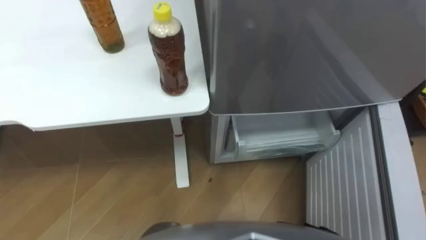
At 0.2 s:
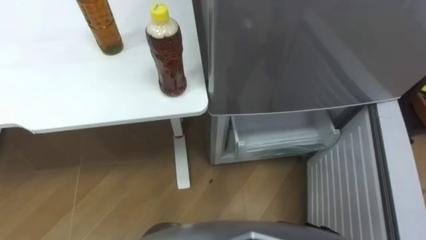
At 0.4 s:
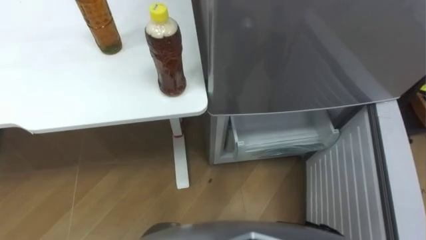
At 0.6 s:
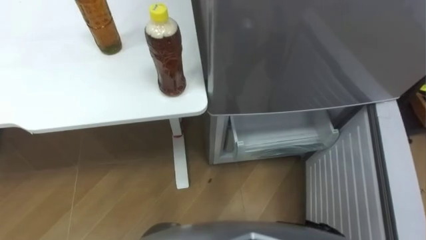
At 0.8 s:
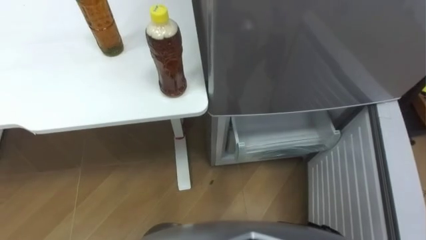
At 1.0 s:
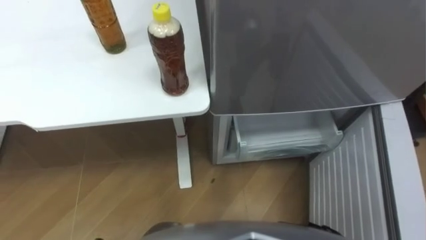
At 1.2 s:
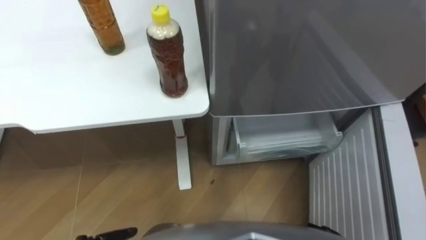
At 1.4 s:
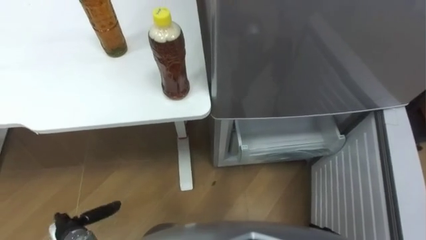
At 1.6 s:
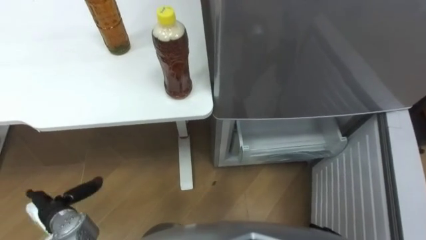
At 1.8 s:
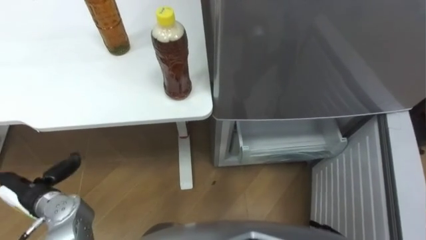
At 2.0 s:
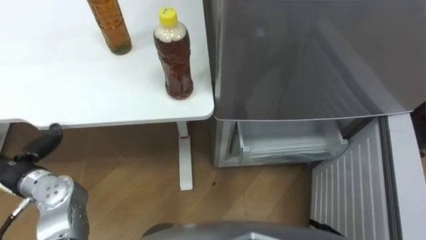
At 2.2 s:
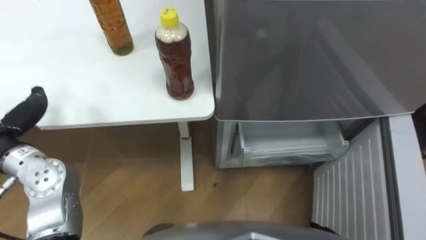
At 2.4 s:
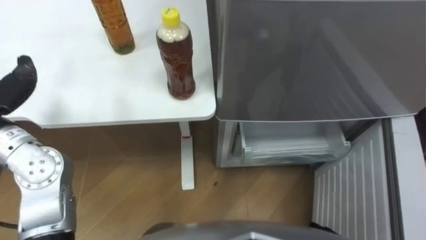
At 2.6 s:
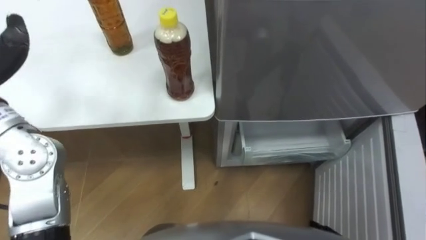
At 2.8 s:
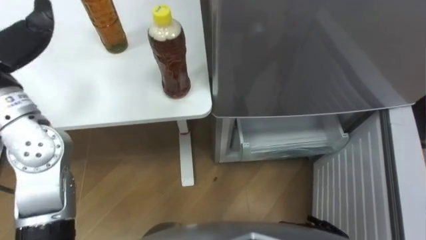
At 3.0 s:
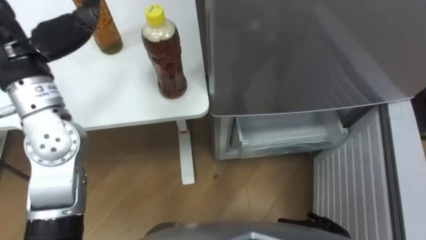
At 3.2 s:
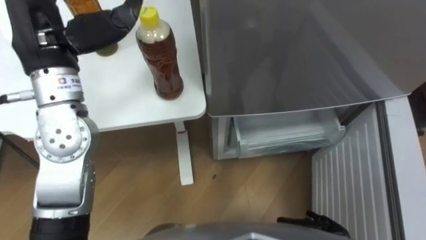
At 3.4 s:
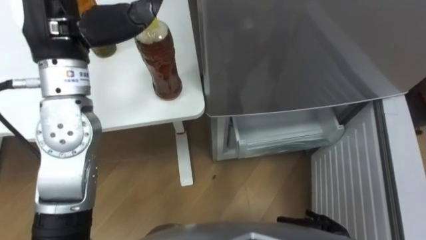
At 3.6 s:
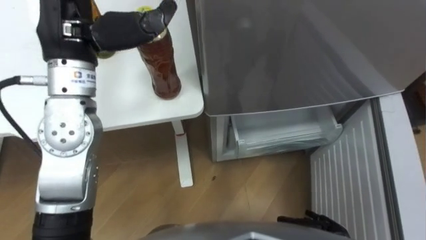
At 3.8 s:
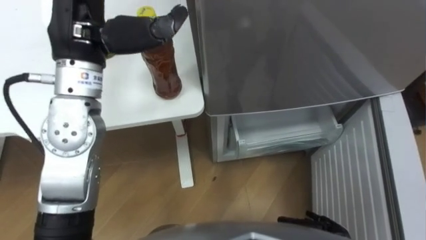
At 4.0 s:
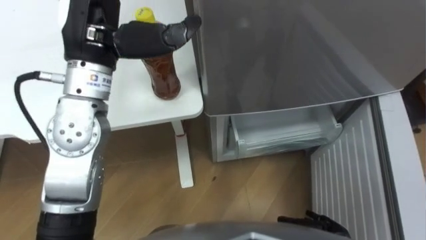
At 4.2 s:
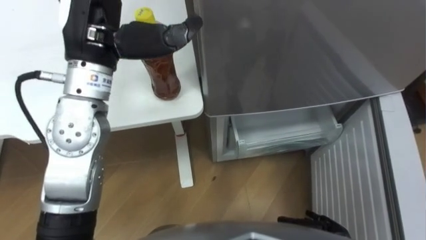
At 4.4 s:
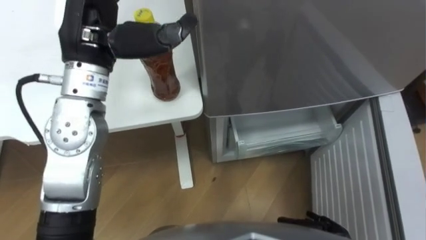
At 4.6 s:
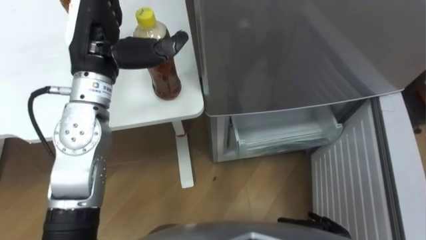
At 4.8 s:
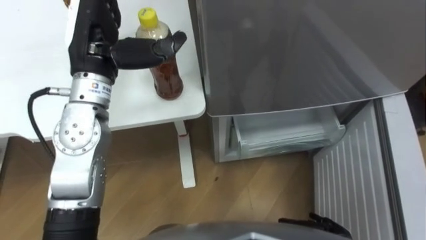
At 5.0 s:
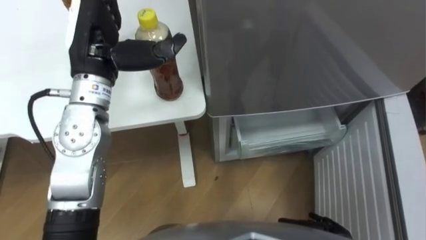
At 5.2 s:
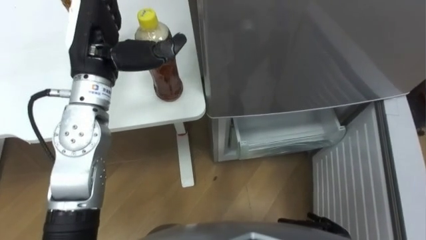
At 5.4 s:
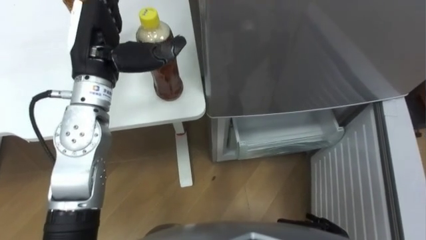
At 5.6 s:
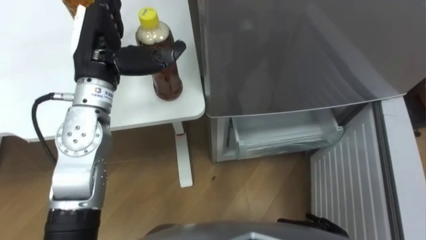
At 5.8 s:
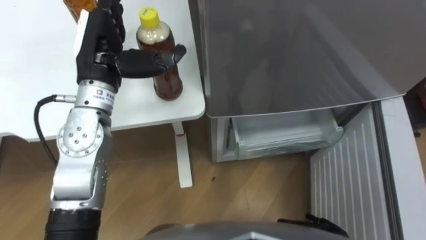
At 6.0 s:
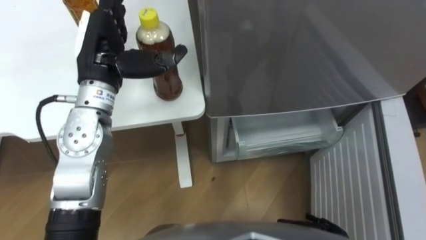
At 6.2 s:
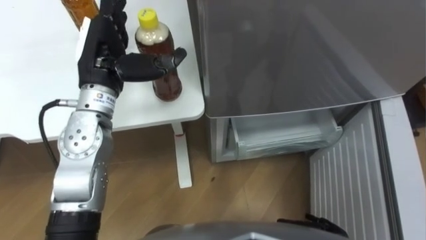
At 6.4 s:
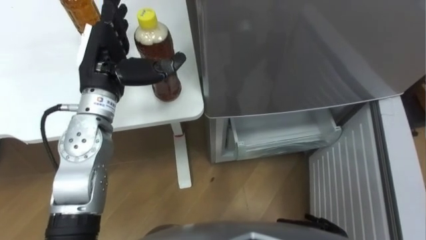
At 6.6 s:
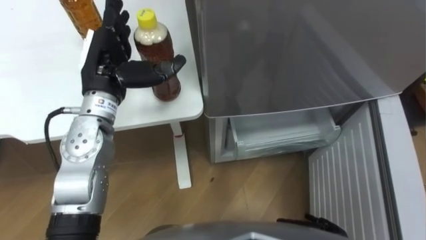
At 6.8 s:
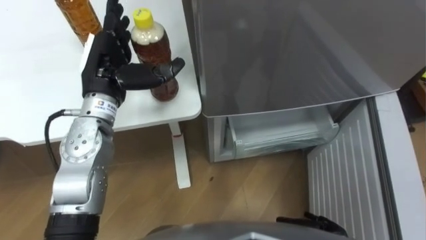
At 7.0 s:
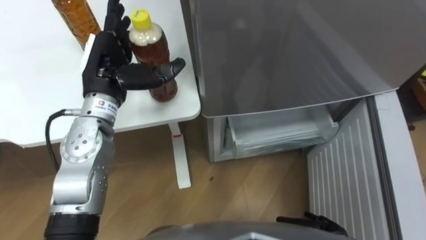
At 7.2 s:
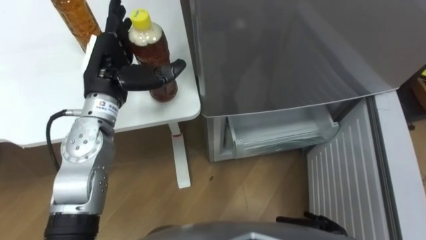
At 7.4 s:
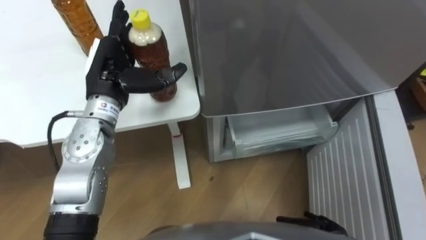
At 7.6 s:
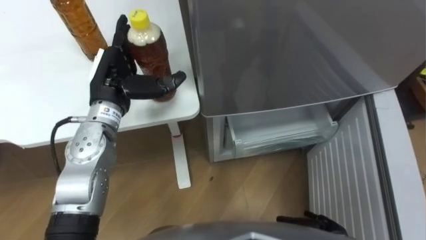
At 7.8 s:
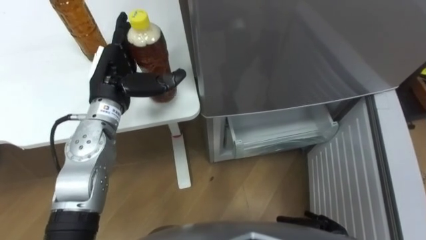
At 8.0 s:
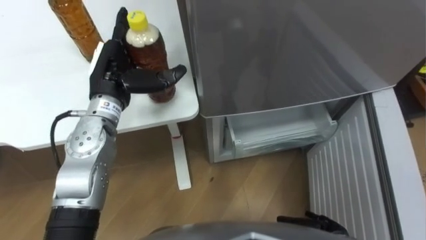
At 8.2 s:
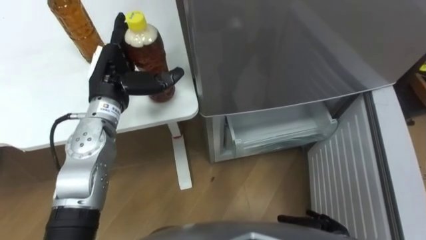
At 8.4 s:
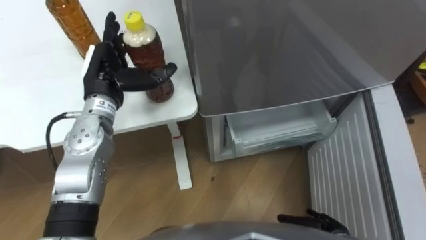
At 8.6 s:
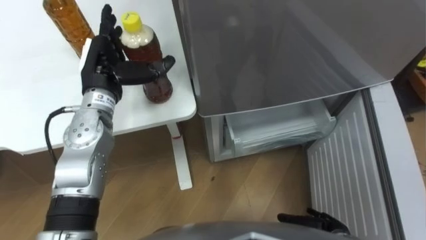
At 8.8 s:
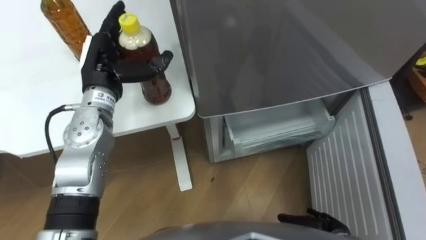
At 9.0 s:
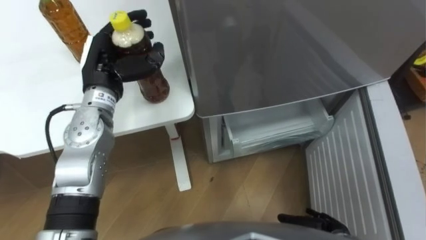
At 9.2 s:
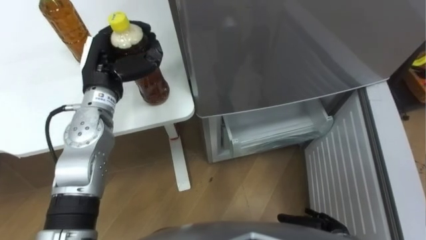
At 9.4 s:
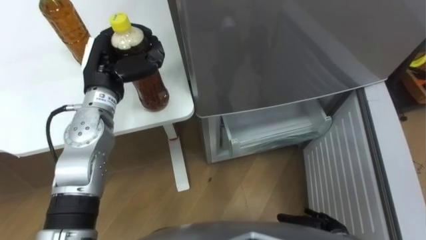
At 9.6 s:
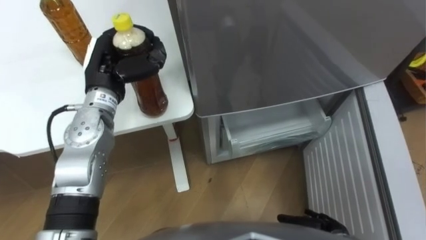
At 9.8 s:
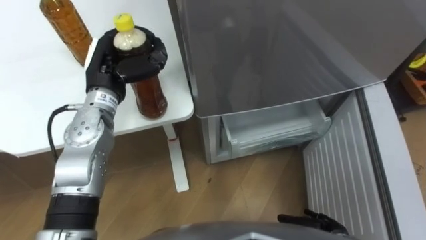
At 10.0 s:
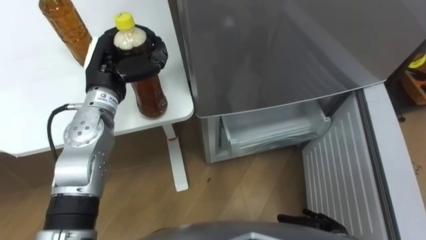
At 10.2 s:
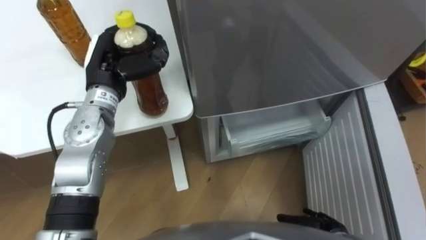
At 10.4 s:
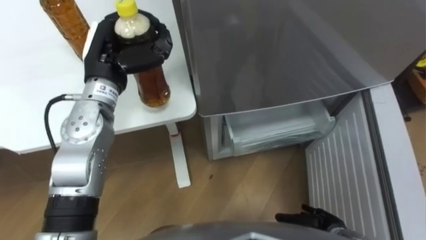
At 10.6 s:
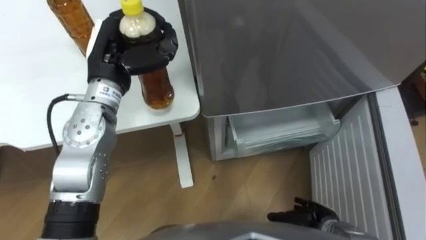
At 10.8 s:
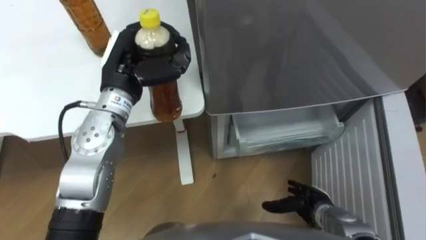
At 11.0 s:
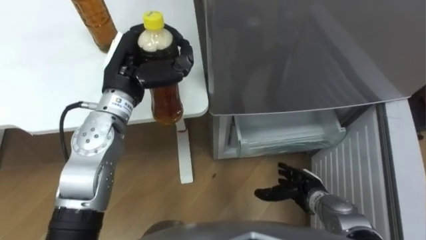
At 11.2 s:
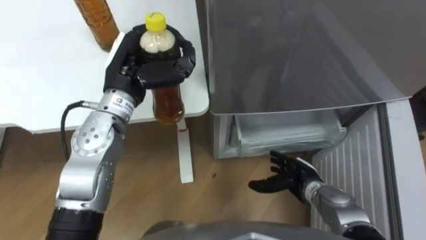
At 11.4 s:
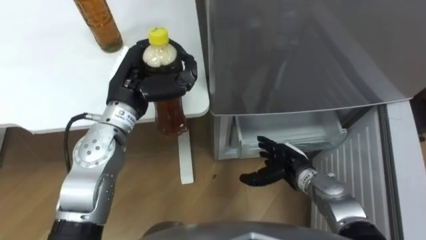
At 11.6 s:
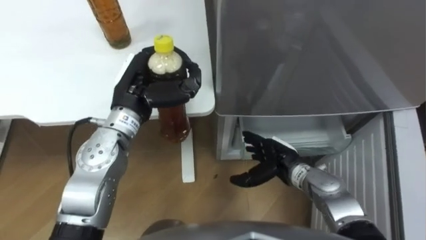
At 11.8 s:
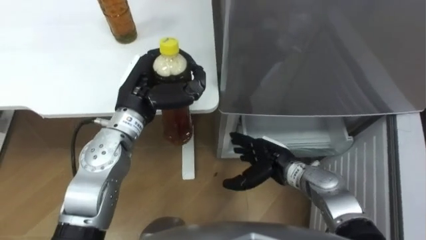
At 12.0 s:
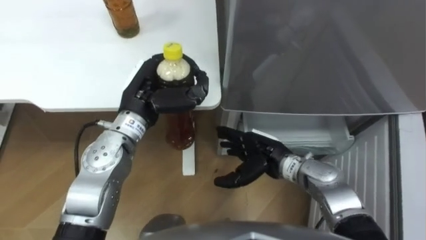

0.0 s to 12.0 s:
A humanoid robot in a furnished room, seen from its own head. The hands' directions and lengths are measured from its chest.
Task of the whole recording: Place the drink on the table on the bottom shelf of the refrigerator, then close the drawer and the refrigerator door.
3.0 to 4.4 s: The left hand is displaced to the right by some 10 cm.
4.4 to 6.0 s: The left hand shifts approximately 10 cm downward.
6.0 to 7.6 s: The left hand heads downward, covering roughly 5 cm.
7.6 to 9.0 s: The left hand closes its fingers.
10.4 to 12.0 s: The right hand heads forward, to the left and upward, covering roughly 25 cm. Meanwhile the left hand moves to the right, some 5 cm.

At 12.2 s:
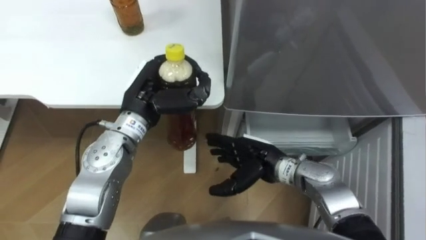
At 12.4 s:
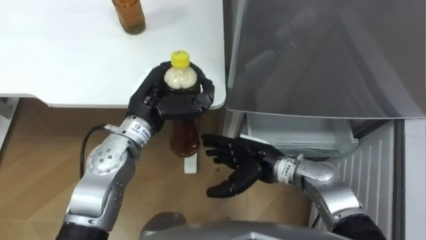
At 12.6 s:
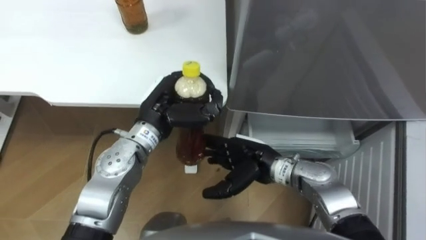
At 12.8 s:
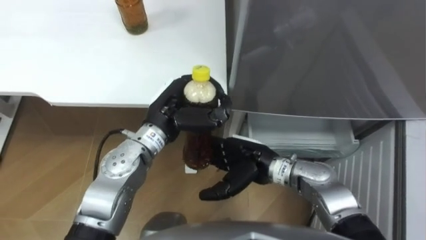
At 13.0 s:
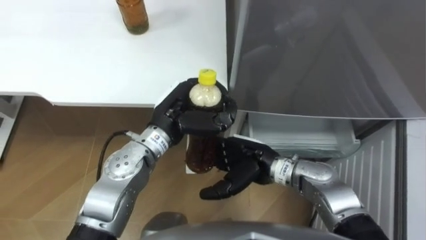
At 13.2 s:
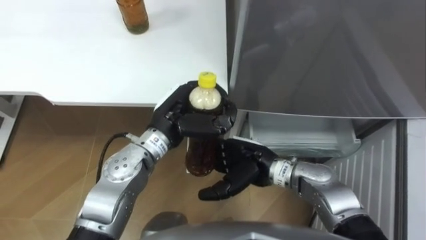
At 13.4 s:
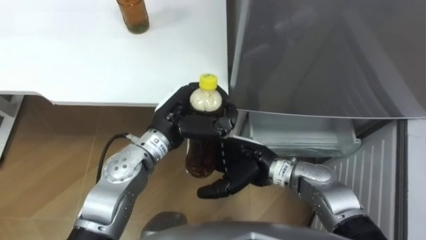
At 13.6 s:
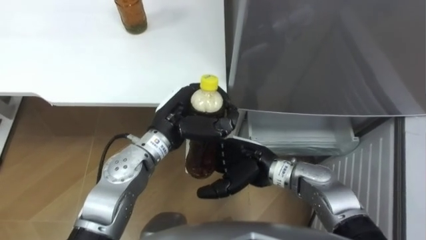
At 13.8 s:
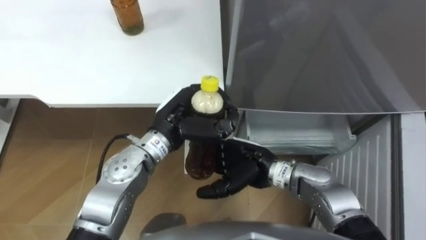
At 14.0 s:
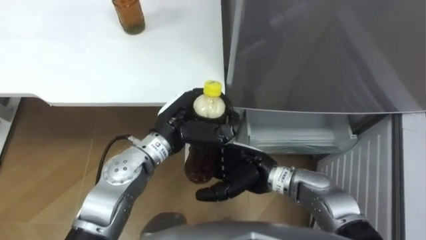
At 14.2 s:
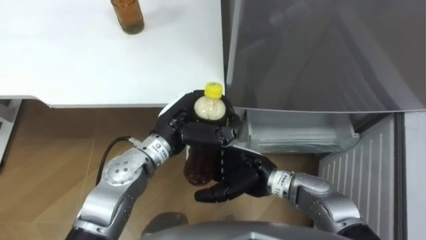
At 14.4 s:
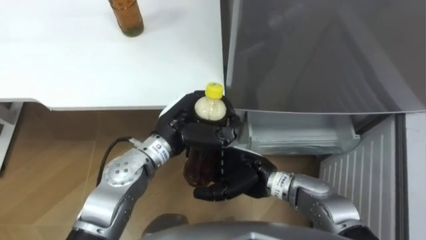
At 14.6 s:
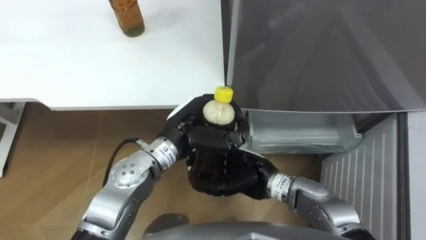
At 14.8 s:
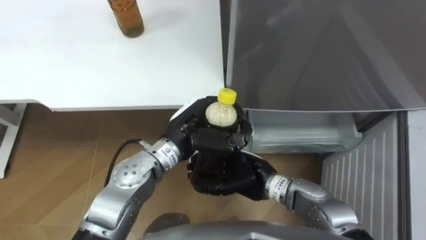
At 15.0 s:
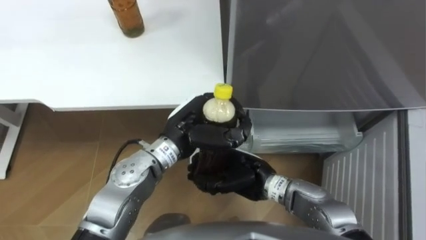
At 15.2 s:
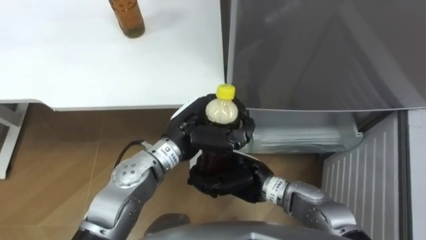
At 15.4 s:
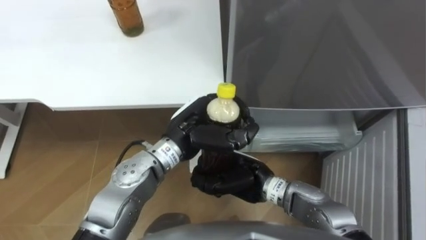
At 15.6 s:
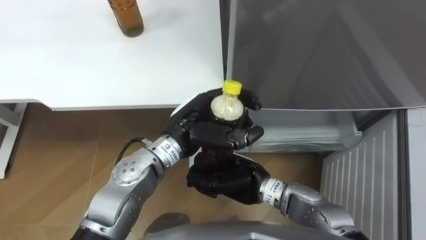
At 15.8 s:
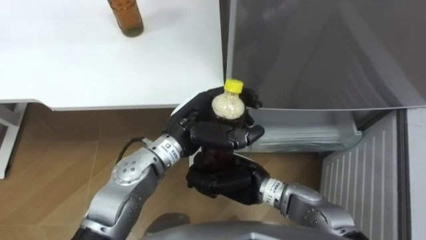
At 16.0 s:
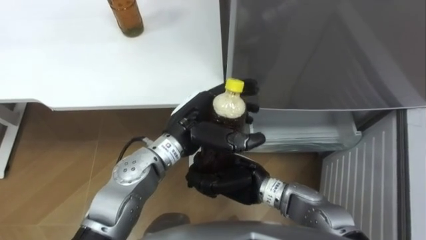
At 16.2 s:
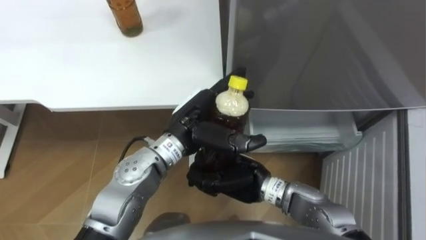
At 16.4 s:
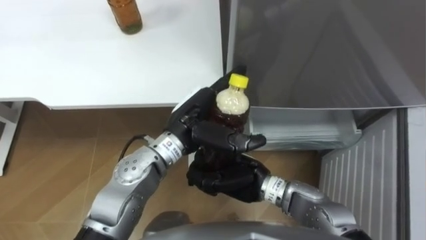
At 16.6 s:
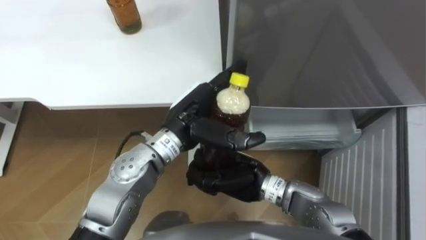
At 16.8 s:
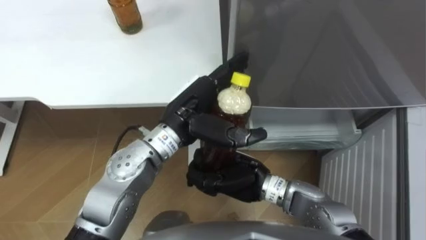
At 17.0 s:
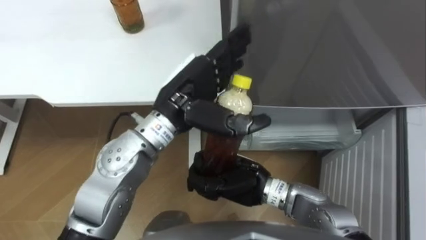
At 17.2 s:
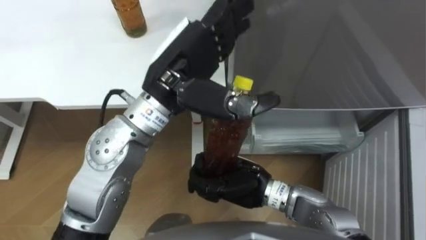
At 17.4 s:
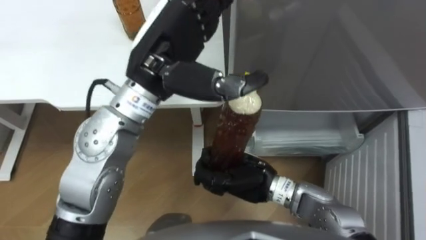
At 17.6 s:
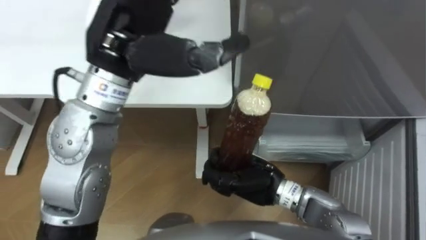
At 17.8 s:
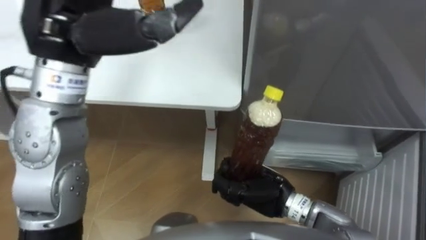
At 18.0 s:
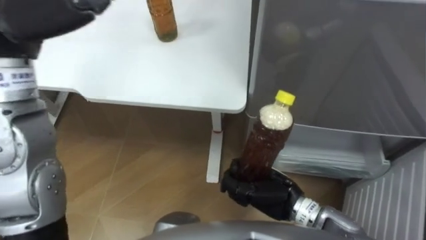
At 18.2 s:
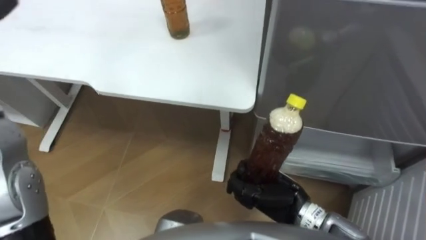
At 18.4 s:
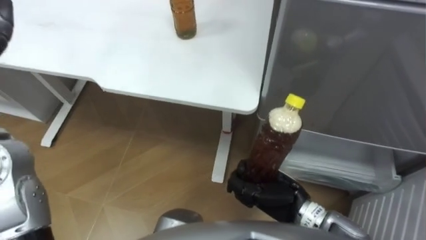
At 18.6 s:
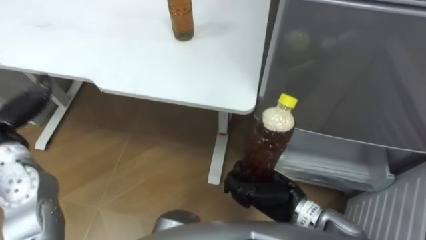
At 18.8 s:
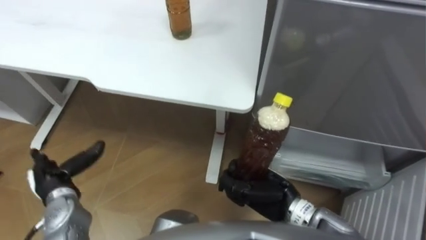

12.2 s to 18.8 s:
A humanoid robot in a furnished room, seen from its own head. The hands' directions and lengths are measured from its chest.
Task of the whole recording: Place the drink on the table on the bottom shelf of the refrigerator, then close the drawer and the refrigerator door.
12.2 to 13.8 s: The left hand moves to the right, approximately 5 cm.
13.8 to 15.4 s: The right hand closes up.
15.4 to 17.2 s: The left hand is displaced upward by roughly 15 cm, and opens its fingers.
17.2 to 18.8 s: The right hand moves to the right, approximately 5 cm.
